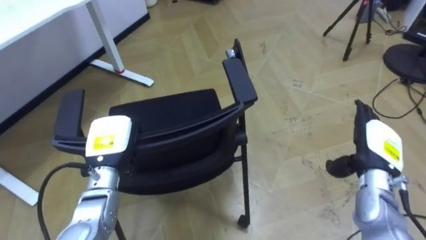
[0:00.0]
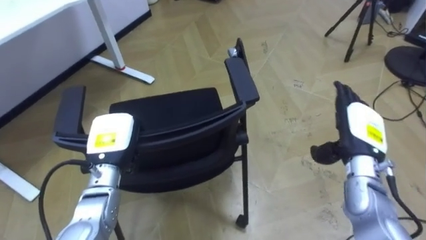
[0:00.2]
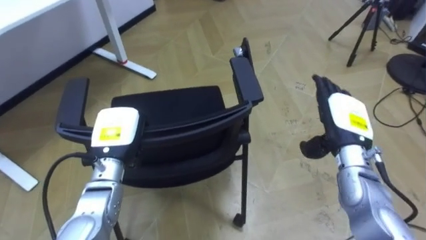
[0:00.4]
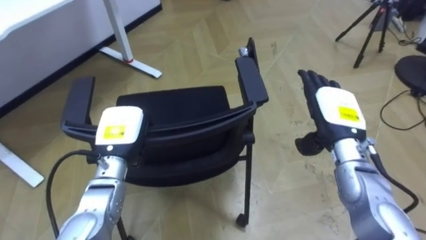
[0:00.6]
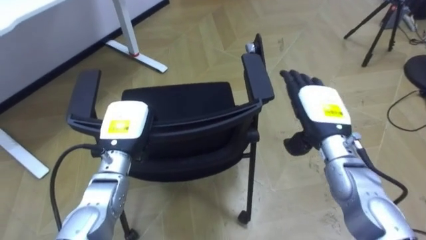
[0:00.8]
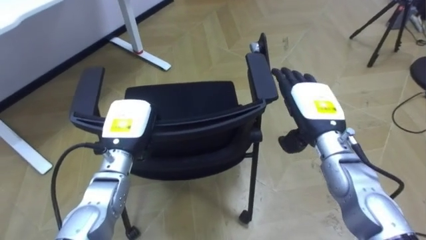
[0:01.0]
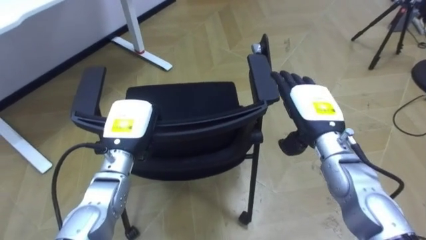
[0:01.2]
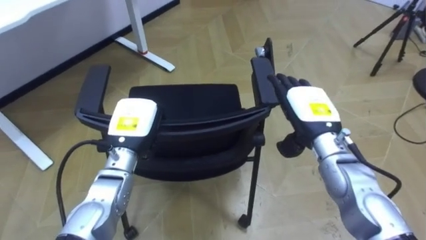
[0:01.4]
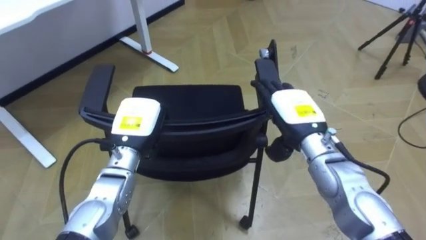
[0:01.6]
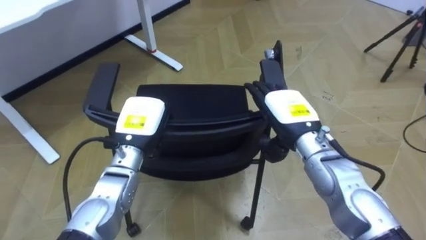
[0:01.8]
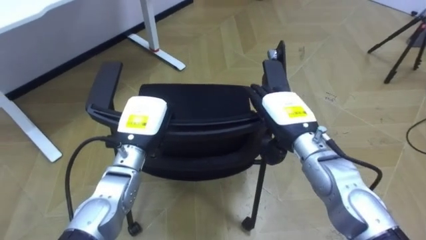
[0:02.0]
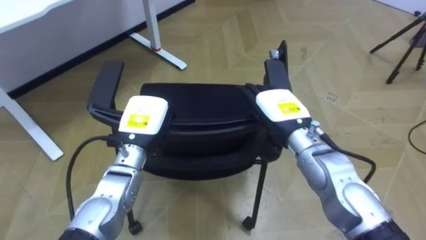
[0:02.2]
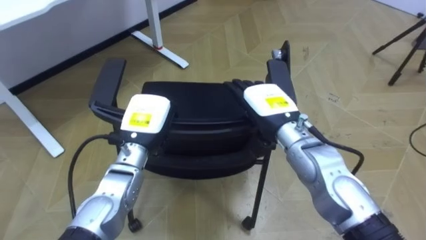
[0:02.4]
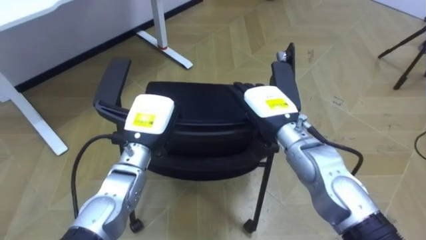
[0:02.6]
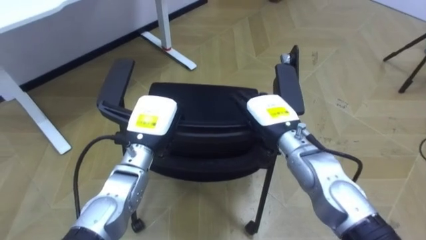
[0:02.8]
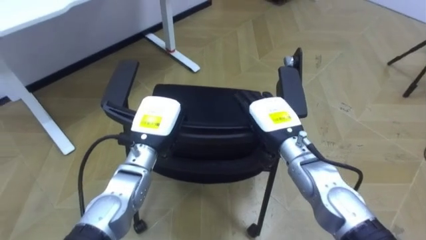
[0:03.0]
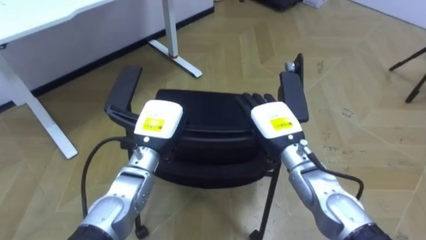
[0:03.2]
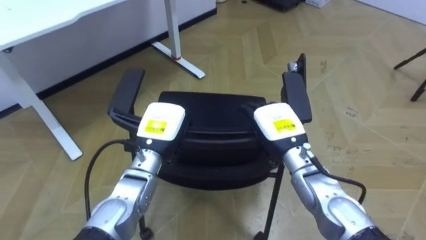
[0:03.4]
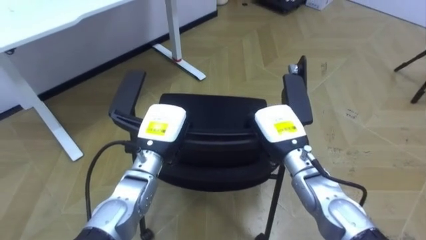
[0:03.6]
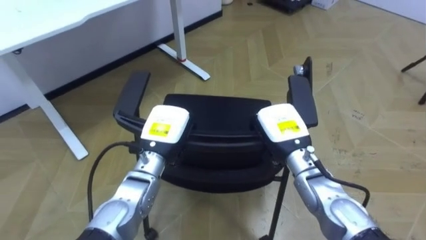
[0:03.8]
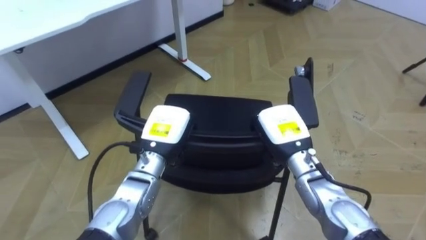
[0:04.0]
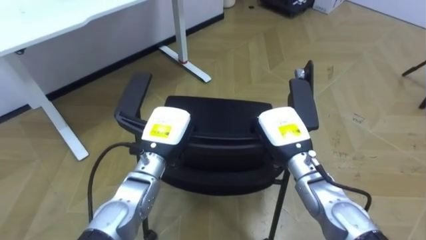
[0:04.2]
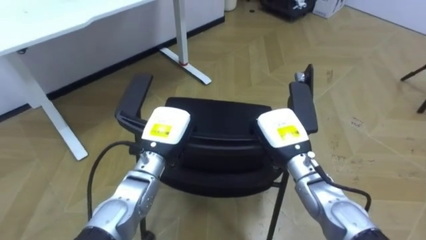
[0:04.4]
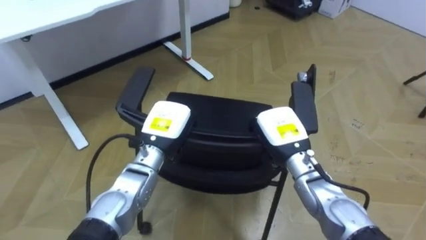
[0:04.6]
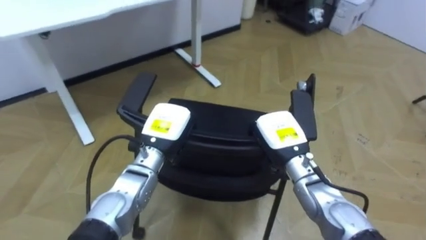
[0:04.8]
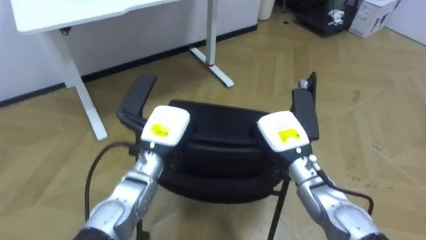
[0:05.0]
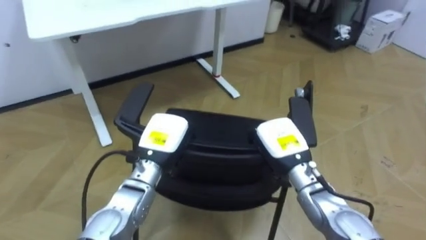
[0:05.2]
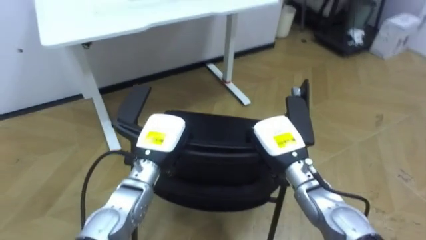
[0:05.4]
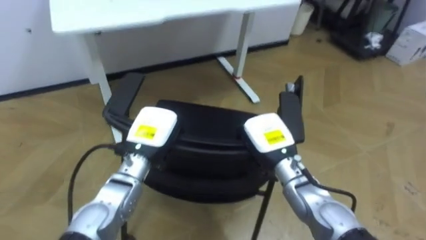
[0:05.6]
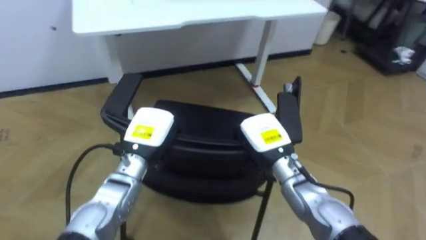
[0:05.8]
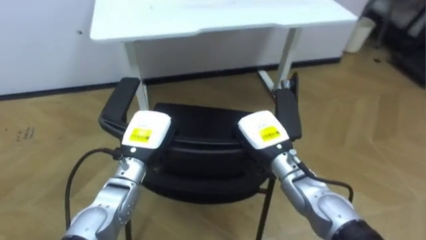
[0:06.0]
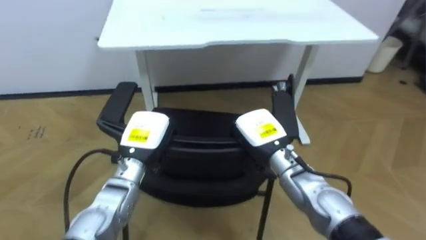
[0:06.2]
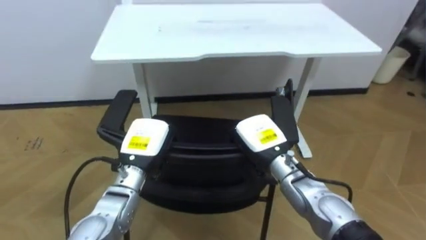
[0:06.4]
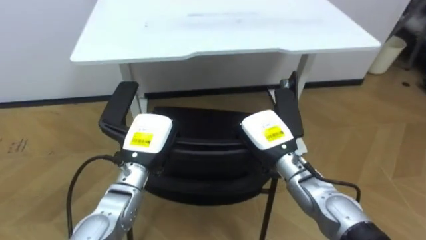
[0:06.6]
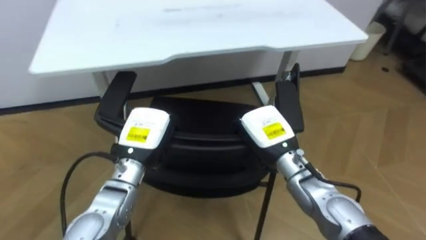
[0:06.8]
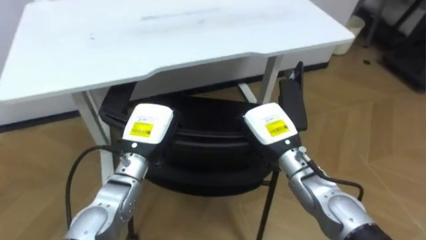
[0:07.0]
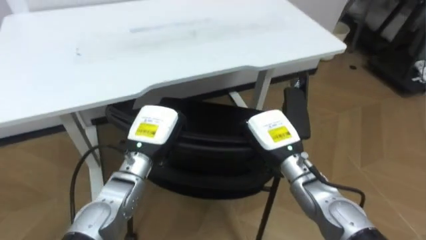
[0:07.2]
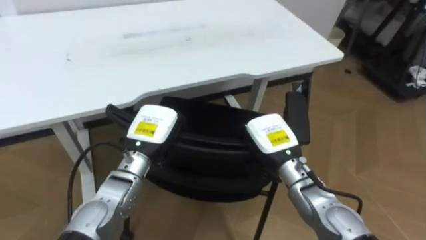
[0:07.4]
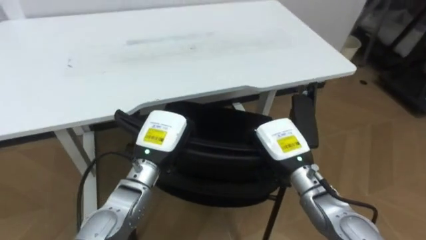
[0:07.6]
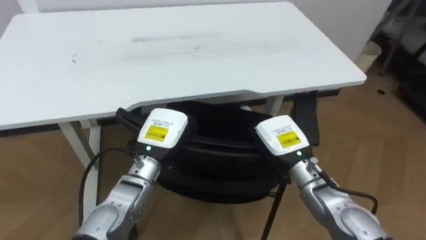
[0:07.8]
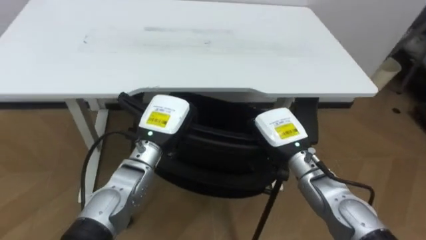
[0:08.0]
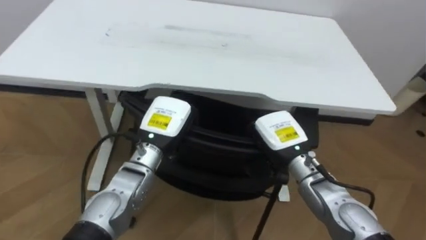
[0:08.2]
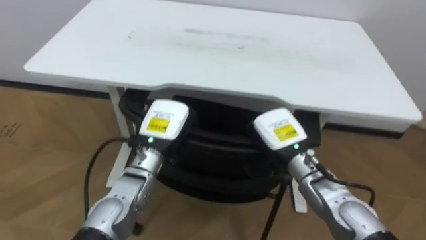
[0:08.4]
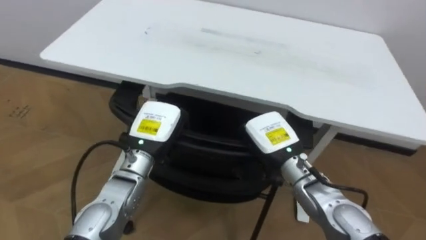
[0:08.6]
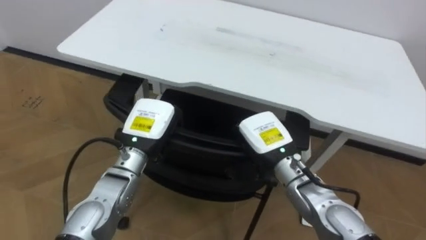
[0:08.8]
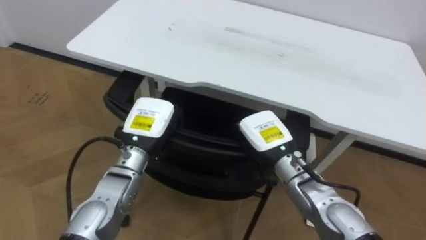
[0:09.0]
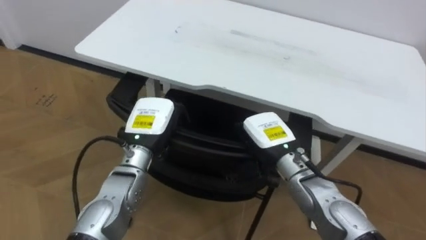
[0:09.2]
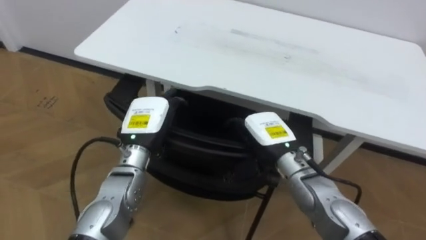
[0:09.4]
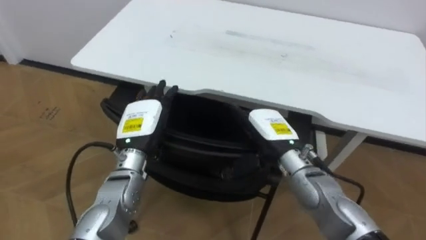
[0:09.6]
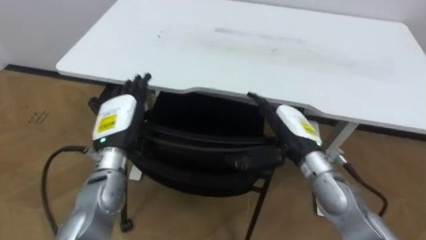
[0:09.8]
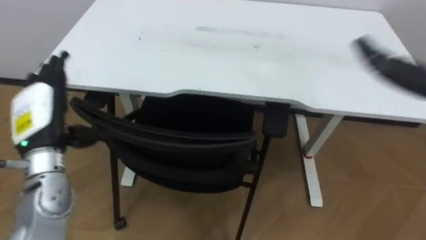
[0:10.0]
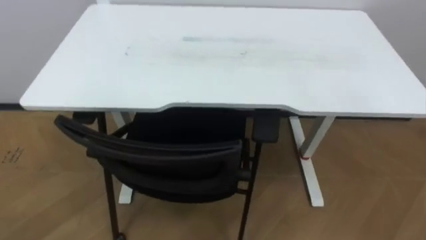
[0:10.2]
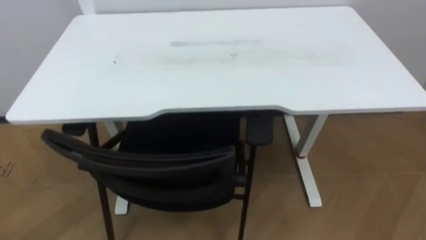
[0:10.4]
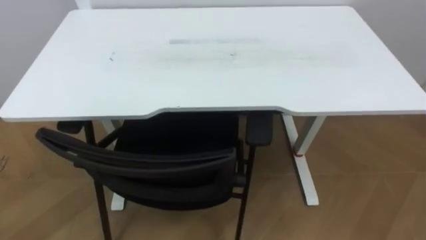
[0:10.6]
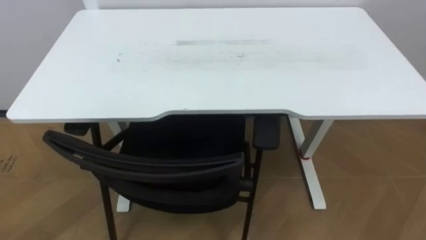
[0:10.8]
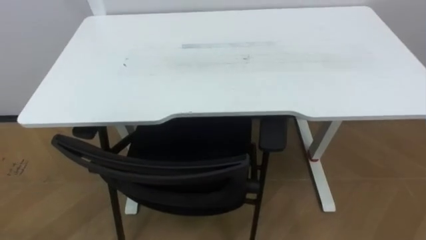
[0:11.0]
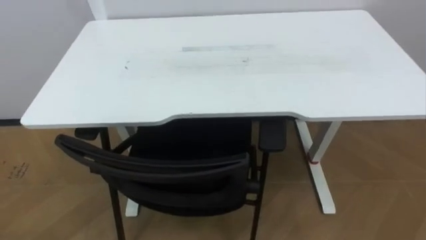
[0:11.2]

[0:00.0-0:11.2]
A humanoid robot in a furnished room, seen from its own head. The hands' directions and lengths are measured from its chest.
Task of the whole recording: Push the chair under the table.
0:00.0 to 0:01.6: The right hand heads to the left, covering some 15 cm. The left hand moves some 5 cm.
0:01.6 to 0:03.2: The right hand shifts by roughly 5 cm.
0:03.2 to 0:04.8: The right hand closes its fingers.
0:04.8 to 0:06.4: The robot turns to its left by about 20 degrees.
0:06.4 to 0:08.0: The left hand ends up approximately 5 cm from where it was.
0:08.0 to 0:09.6: The robot faces roughly 20 degrees further to its left. The right hand opens; the left hand opens its fingers.

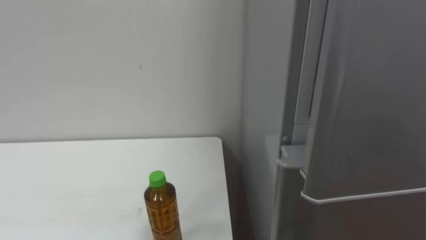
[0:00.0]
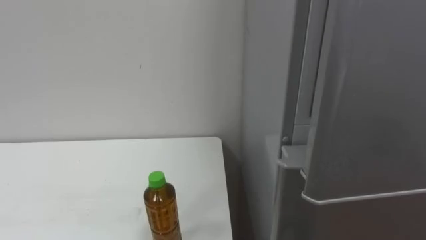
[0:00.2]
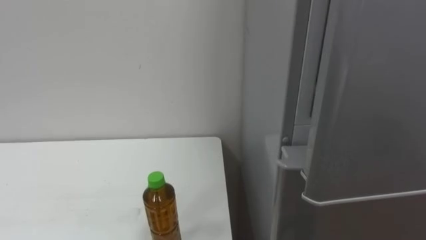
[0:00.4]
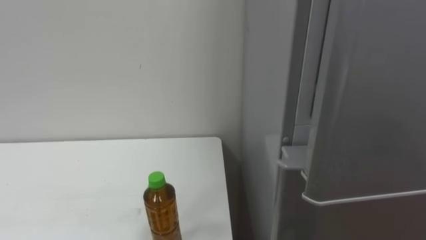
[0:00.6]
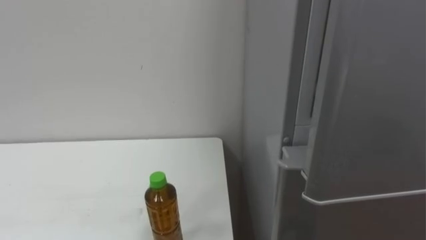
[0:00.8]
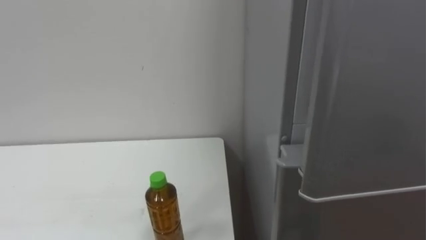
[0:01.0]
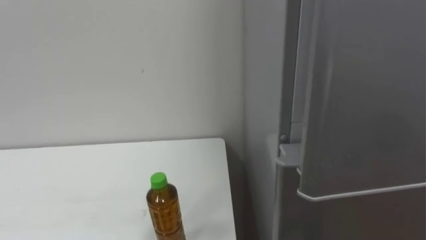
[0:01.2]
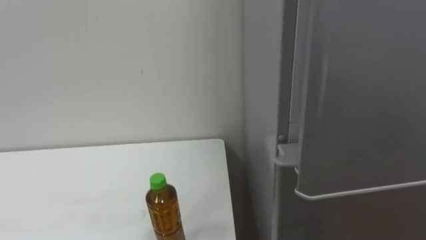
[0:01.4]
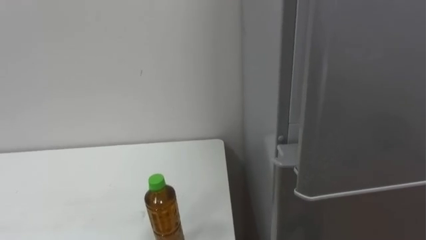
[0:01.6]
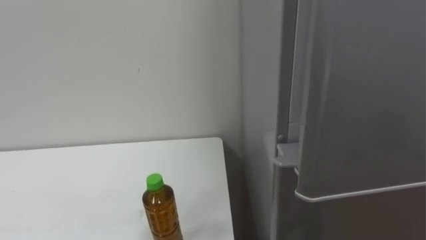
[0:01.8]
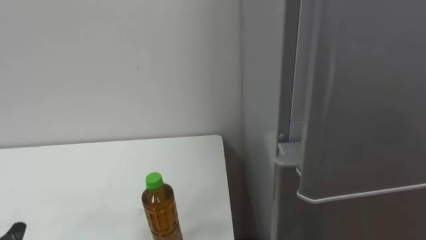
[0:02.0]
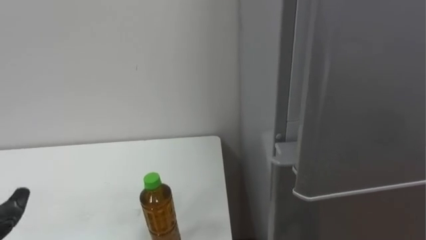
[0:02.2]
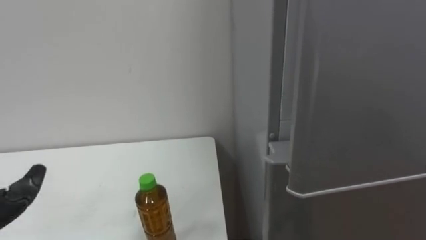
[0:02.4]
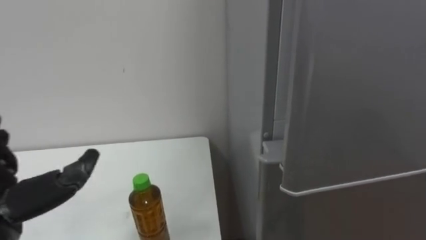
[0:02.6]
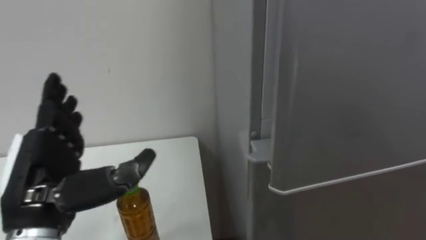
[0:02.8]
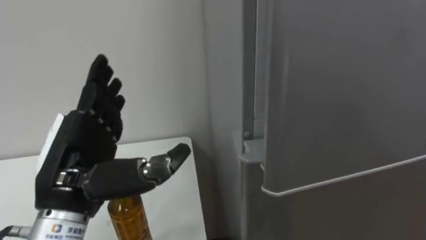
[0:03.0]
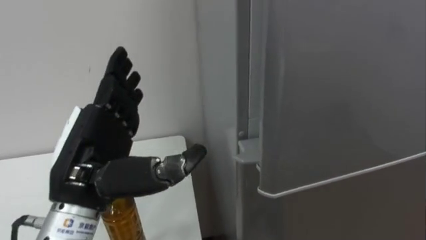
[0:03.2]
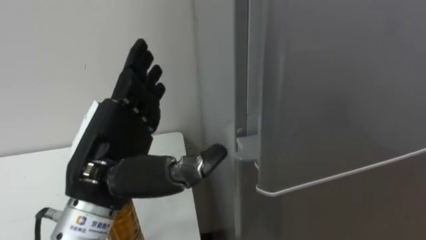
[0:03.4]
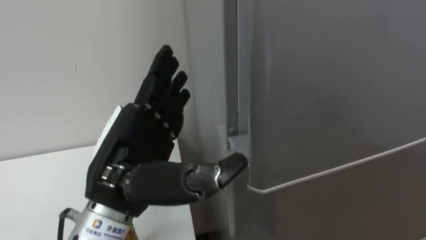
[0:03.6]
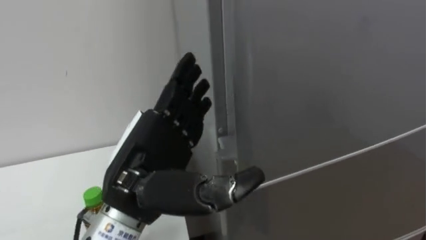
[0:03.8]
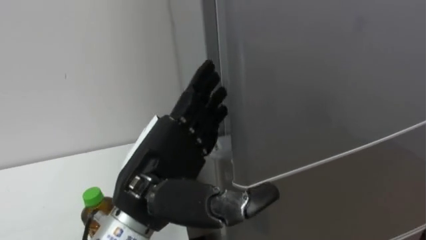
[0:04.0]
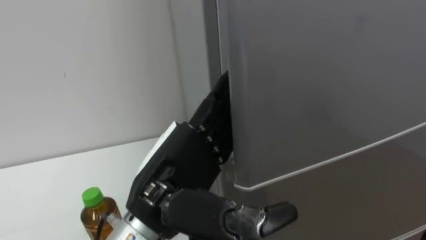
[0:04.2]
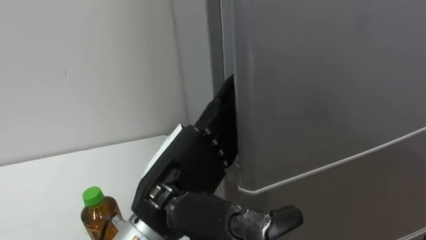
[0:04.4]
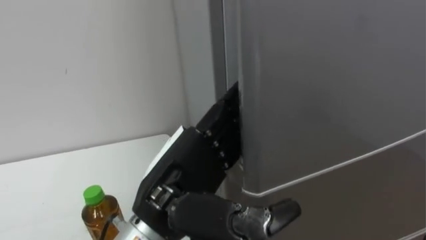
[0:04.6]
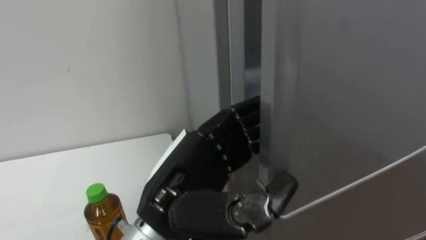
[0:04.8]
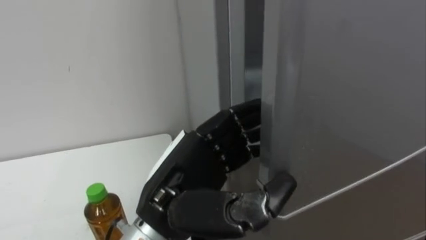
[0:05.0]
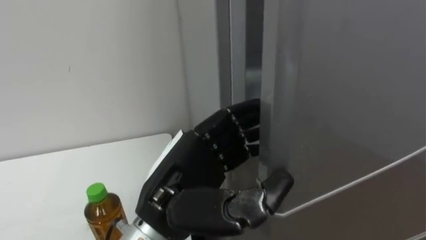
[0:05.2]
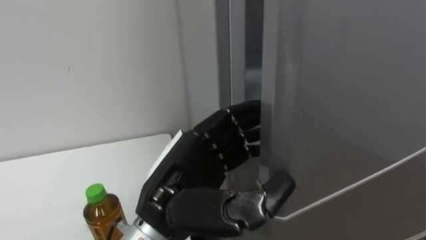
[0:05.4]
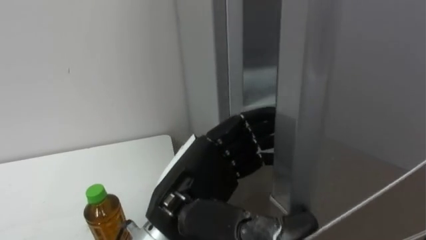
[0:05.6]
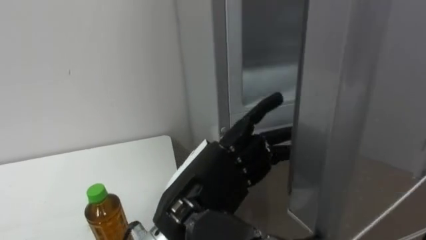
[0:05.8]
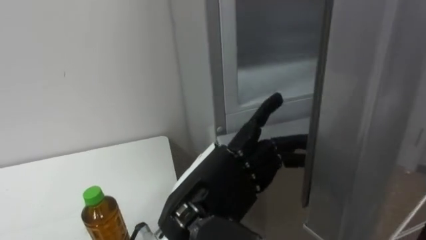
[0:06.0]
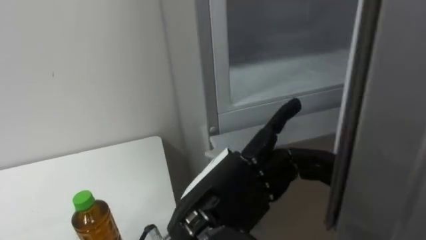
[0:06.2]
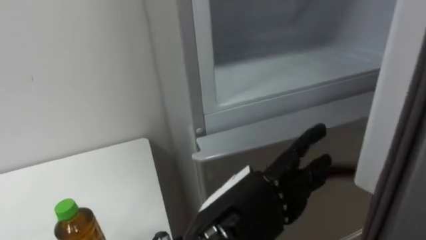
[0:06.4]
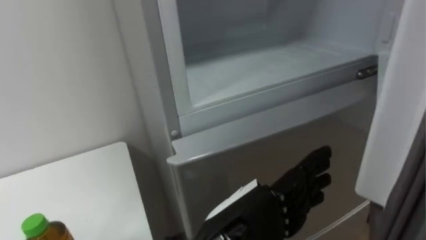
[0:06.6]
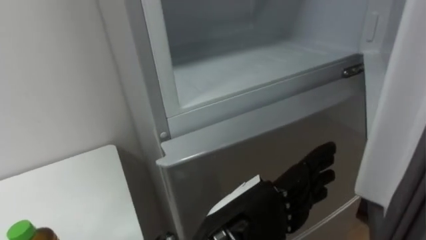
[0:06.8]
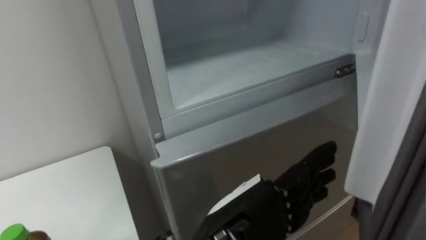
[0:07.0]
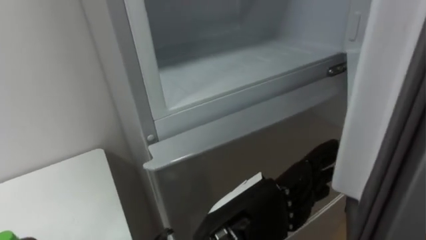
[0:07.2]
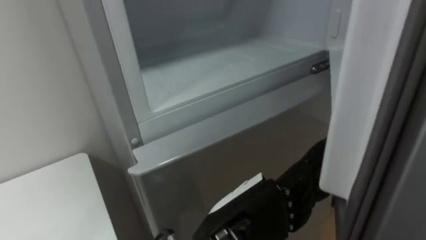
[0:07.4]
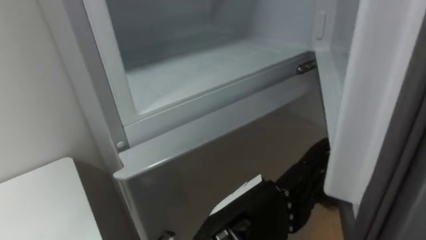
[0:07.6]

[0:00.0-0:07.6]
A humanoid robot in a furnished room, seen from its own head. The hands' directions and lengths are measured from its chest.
Task of the whole recording: Open the upper refrigerator door, put the drink from the table into the refrigerator, and then close the refrigerator door.
0:03.0 to 0:04.6: The left hand shifts roughly 15 cm to the right.
0:06.0 to 0:07.6: The left hand changes place by some 5 cm.
